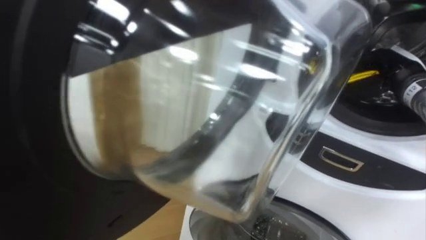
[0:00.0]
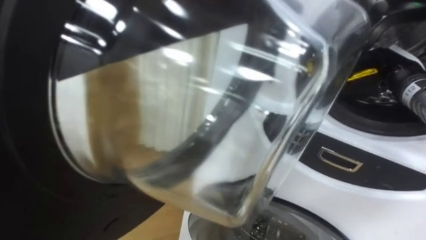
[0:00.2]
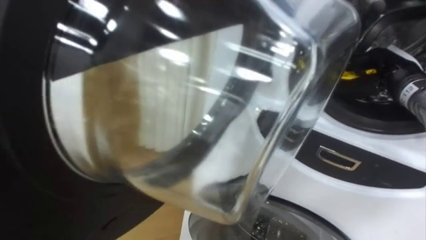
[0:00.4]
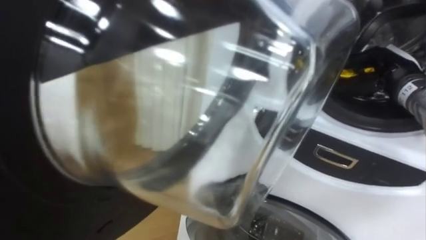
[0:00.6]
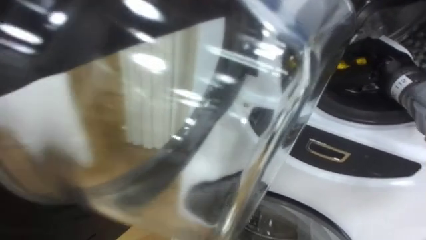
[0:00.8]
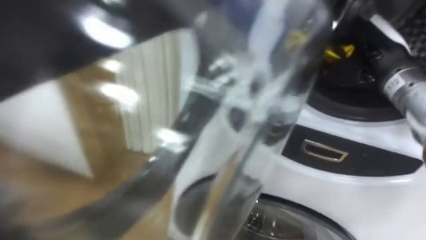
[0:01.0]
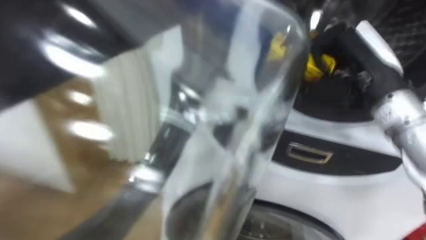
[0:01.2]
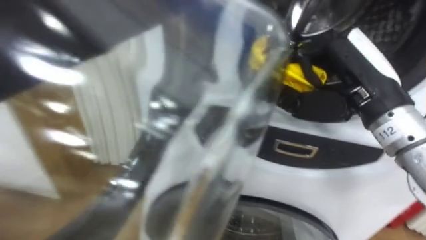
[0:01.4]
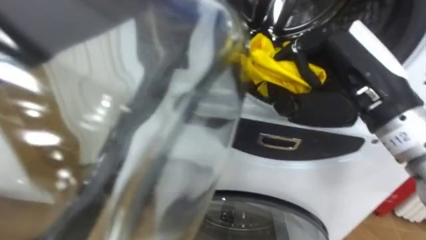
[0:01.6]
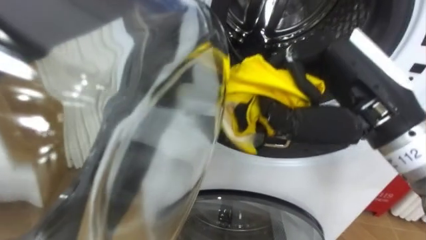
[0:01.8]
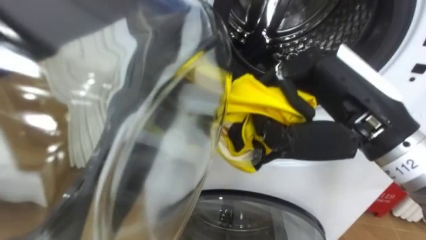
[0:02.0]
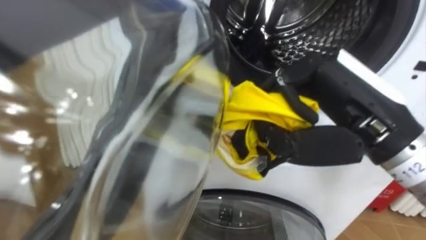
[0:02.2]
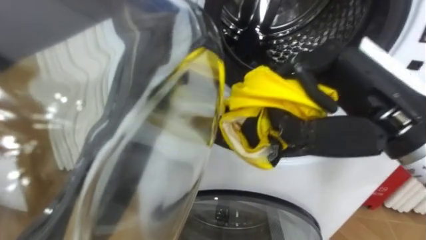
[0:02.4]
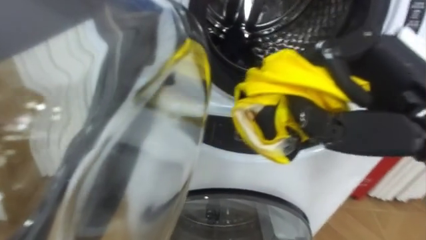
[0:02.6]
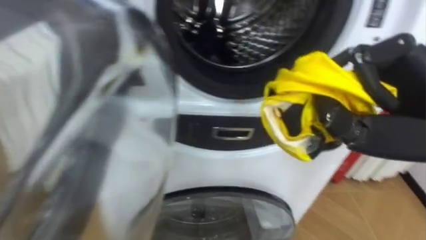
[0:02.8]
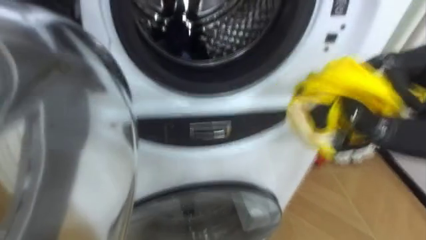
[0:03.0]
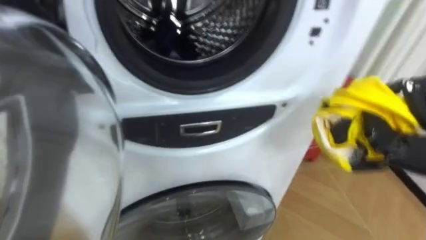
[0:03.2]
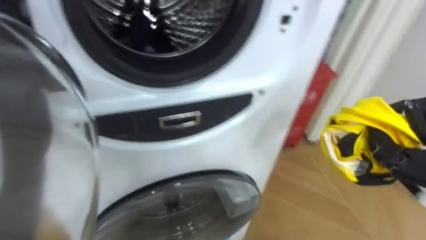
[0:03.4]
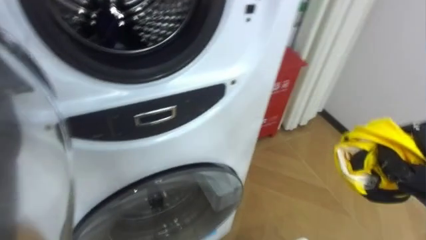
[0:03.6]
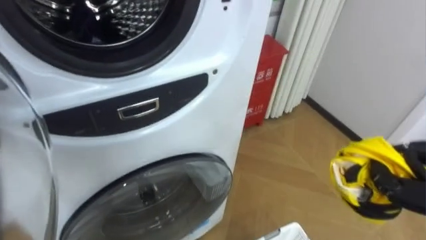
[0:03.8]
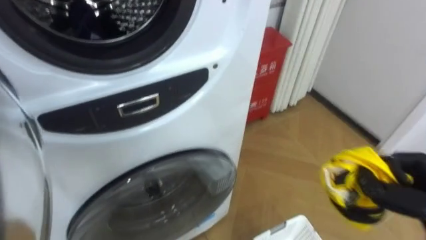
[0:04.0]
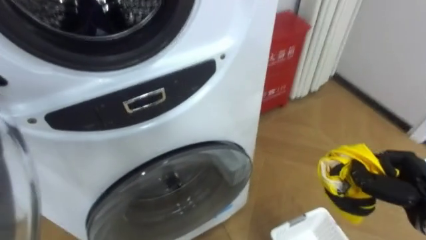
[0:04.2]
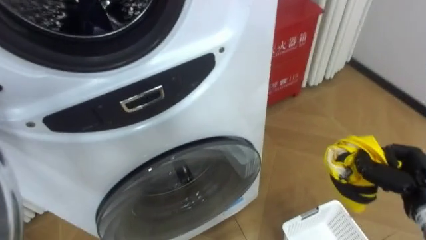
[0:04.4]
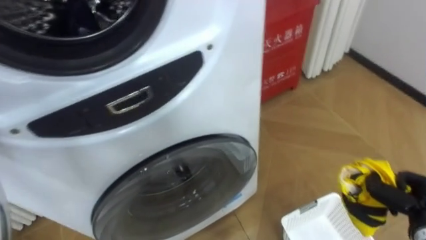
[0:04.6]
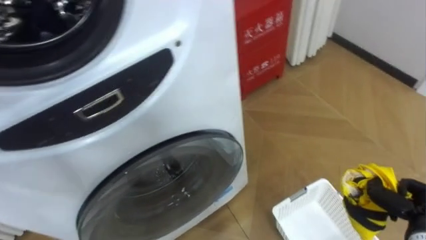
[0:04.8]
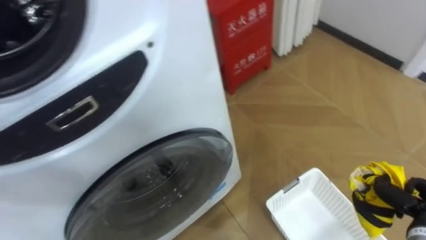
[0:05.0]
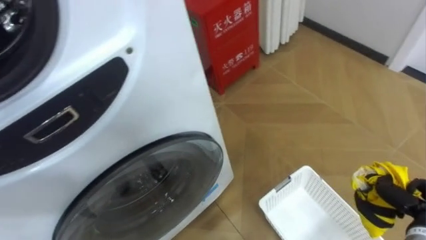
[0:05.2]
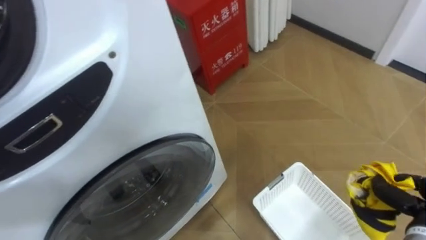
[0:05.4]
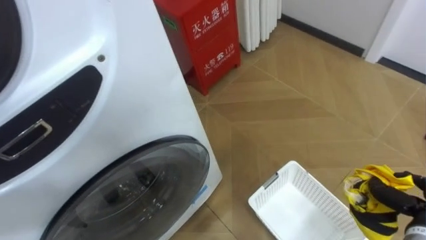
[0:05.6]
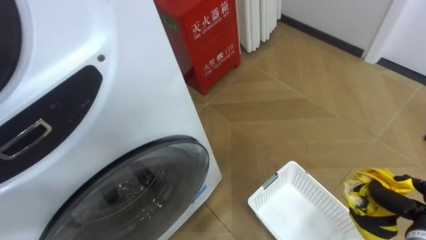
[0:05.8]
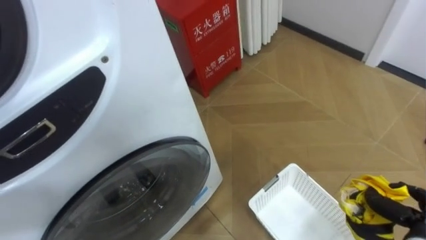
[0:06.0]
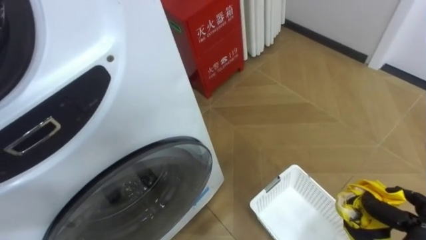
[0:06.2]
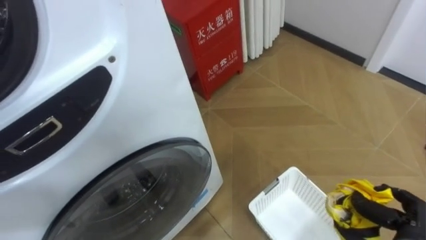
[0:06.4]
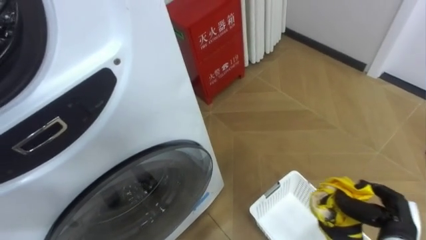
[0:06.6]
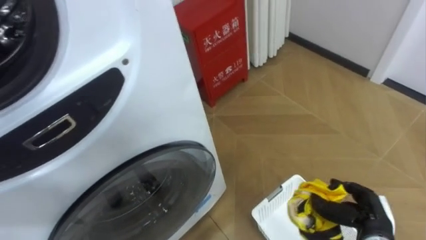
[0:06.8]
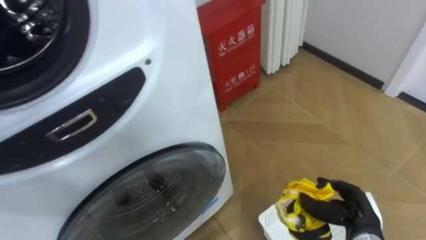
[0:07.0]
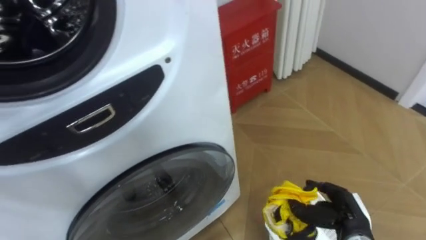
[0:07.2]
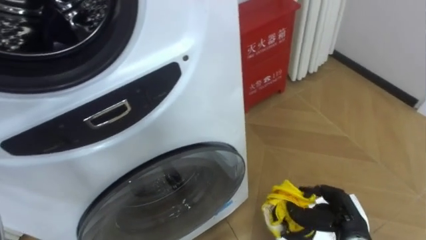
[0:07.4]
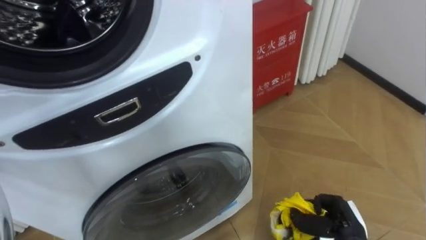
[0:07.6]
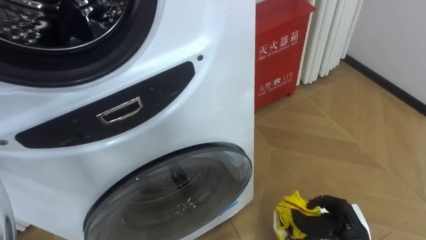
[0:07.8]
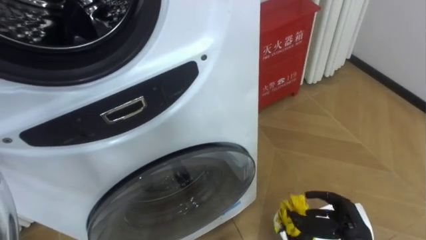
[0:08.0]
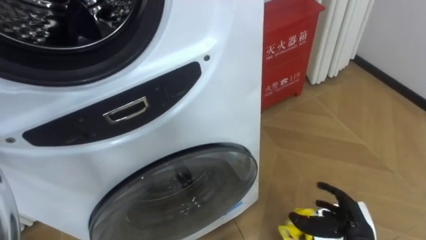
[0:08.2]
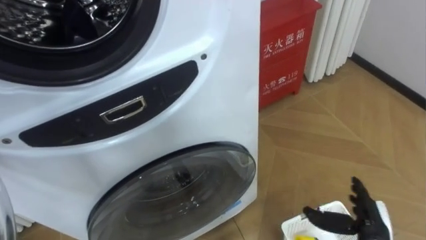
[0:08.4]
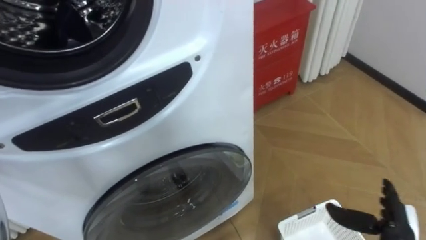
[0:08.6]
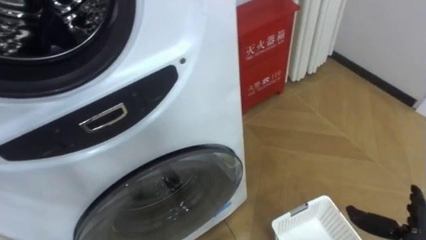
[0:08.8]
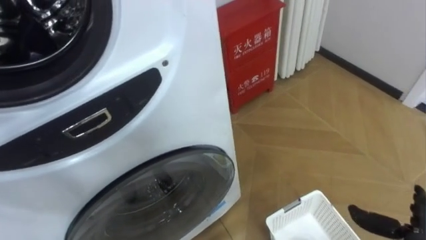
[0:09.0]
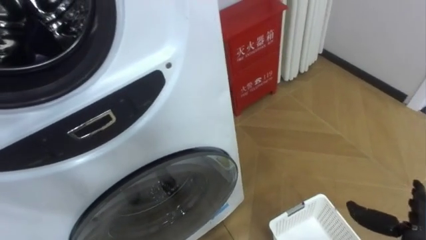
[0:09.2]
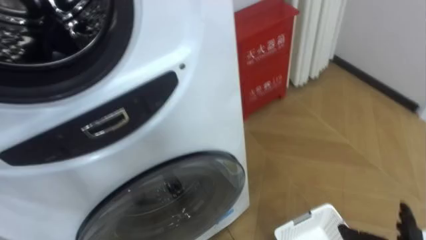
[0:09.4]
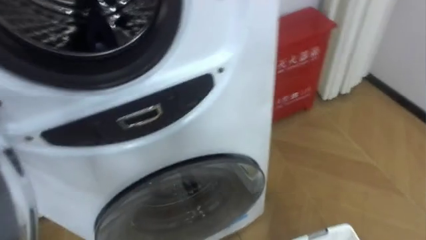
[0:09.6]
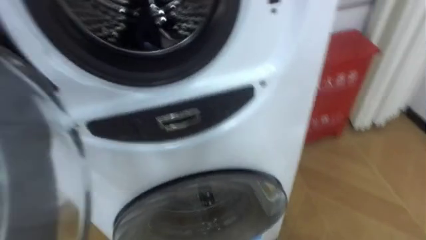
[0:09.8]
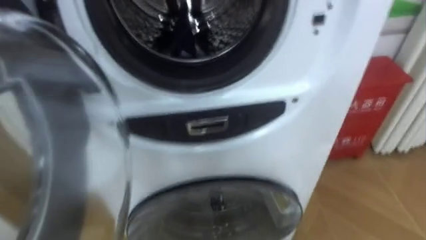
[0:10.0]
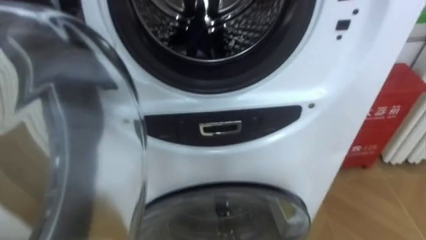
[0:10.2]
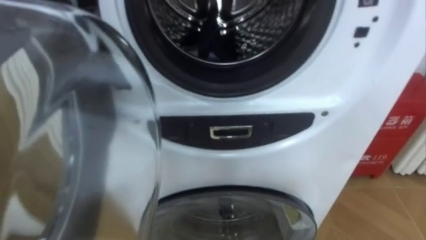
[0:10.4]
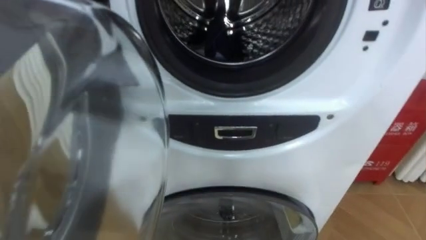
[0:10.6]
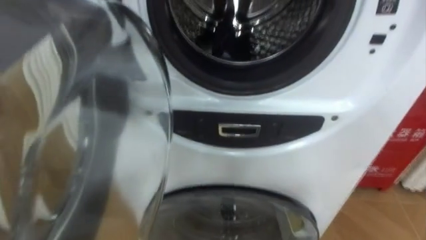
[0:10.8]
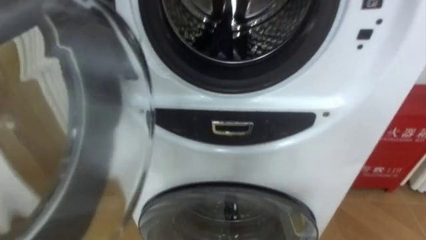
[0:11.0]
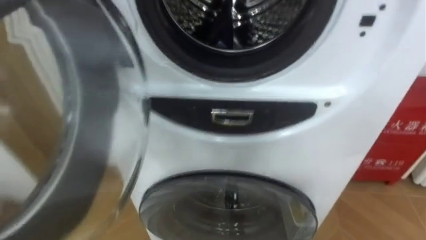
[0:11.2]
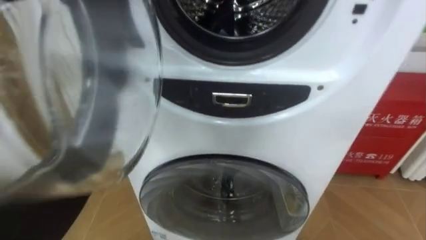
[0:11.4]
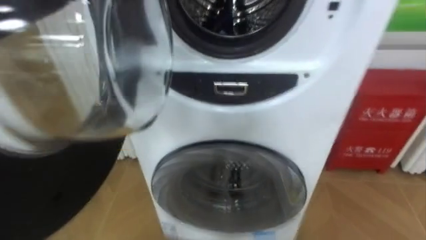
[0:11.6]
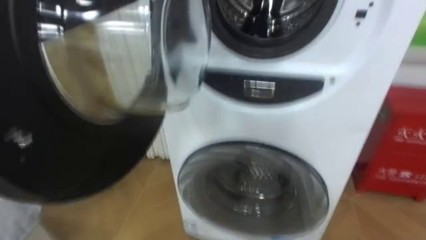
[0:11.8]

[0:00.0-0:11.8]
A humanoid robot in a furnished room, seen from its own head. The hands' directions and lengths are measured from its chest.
Task of the whole recording: Open the washing machine door, take out the yellow clothes, place them in the box on the right, and close the washing machine door.
0:00.0 to 0:01.4: The right hand moves to the left, backward and upward, approximately 20 cm.
0:04.4 to 0:06.0: The right hand heads downward, covering some 5 cm.
0:06.0 to 0:07.4: The right hand travels to the left by some 10 cm.
0:07.4 to 0:08.8: The right hand goes some 10 cm to the right, and opens up.
0:10.4 to 0:11.8: The robot rotates roughly 15 degrees to its left.

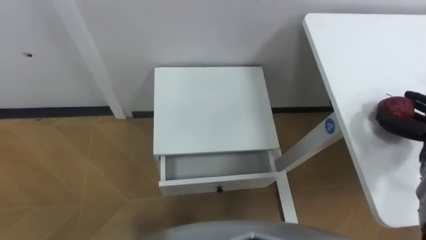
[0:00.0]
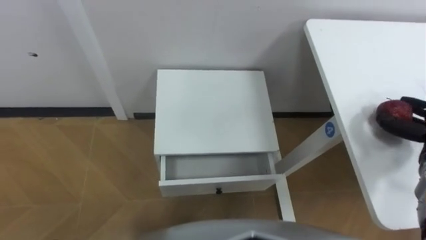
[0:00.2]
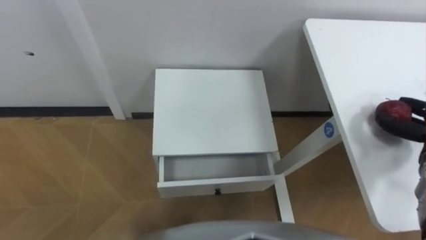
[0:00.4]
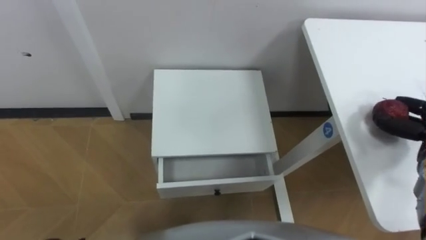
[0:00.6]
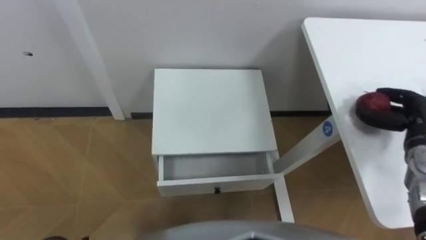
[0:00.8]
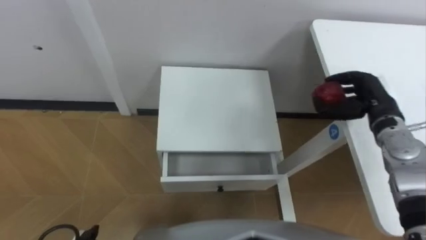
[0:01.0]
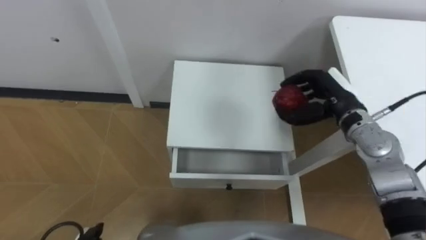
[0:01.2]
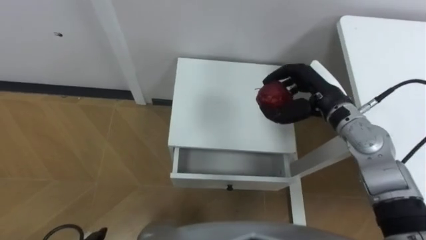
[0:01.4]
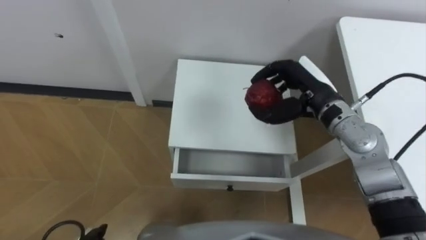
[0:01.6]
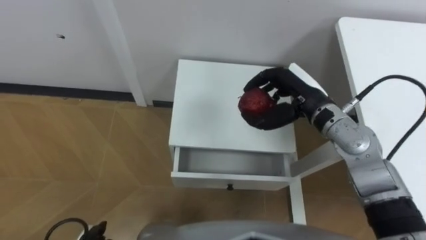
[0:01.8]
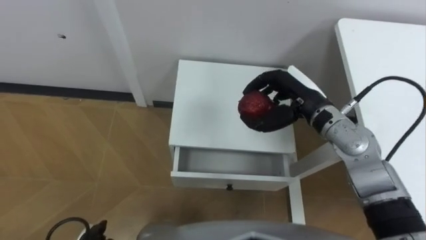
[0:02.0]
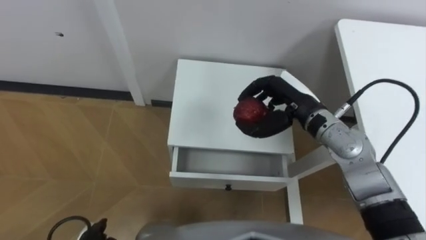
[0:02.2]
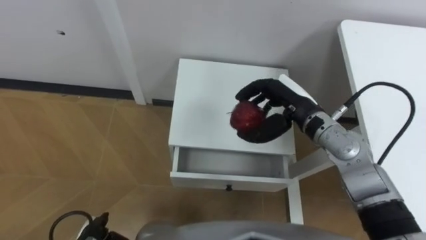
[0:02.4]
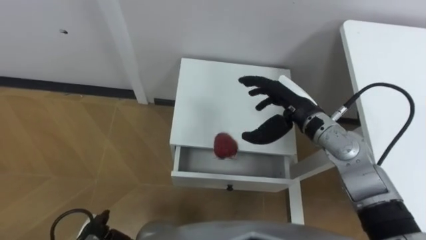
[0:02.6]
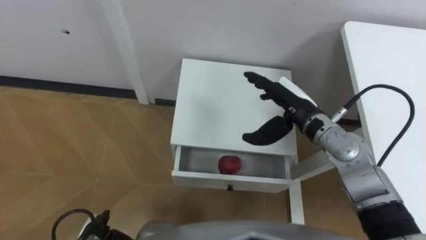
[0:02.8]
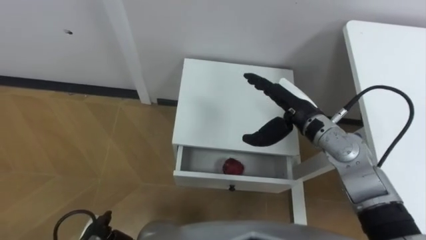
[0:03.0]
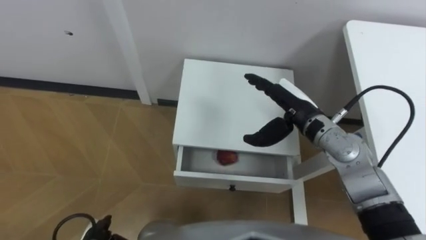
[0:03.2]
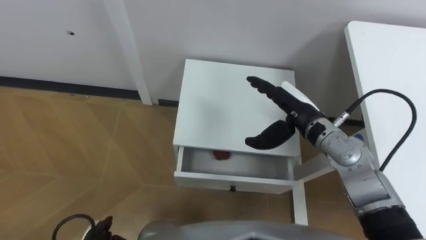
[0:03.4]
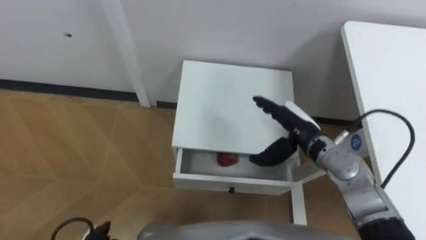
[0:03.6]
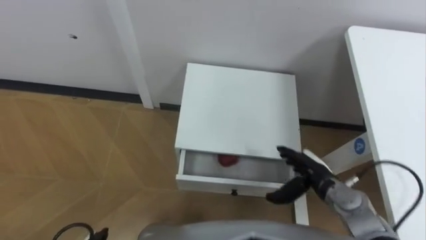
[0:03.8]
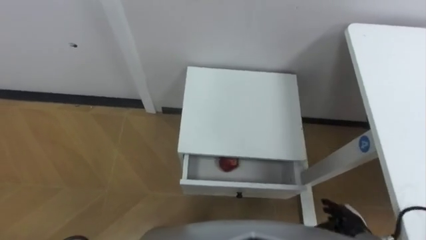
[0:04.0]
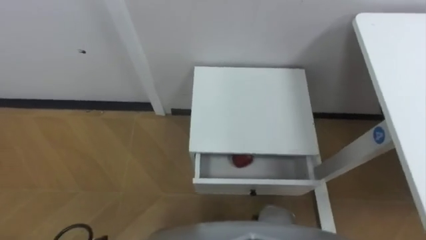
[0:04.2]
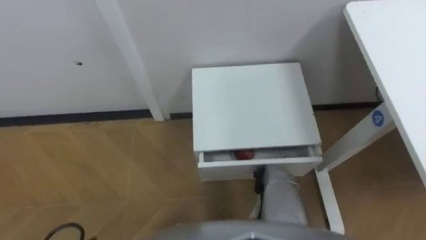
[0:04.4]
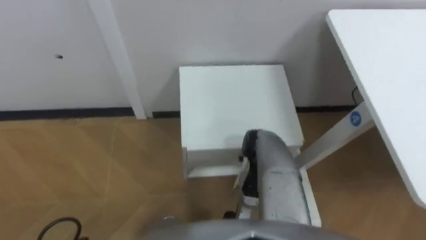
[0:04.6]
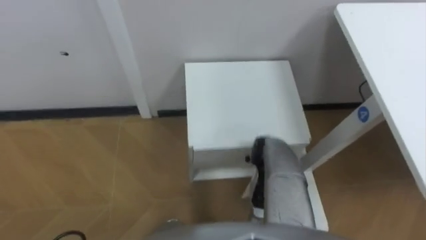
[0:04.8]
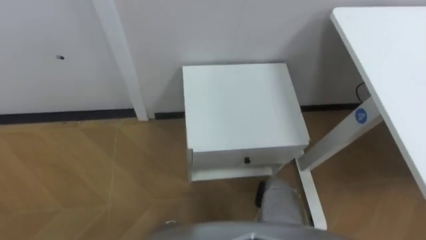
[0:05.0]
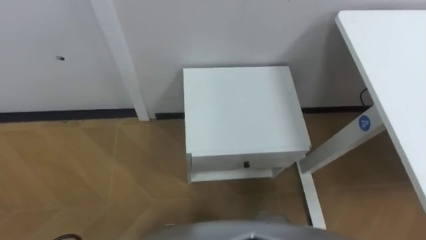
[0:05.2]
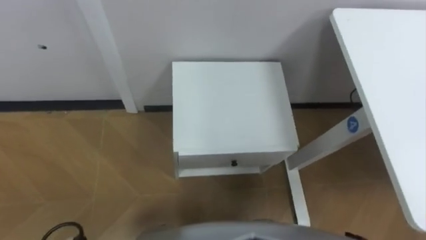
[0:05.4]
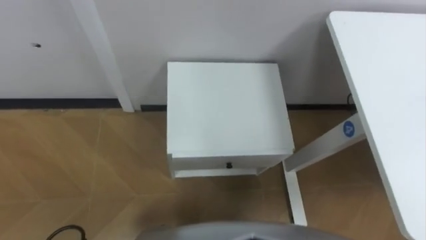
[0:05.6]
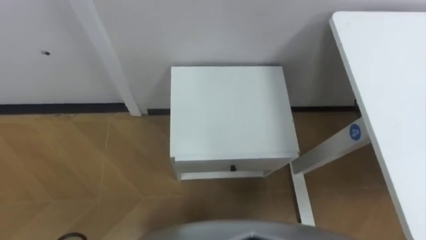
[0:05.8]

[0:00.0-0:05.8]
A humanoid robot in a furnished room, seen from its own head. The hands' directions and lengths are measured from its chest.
Task of the whole recording: Pick up the apple from the table, put it in the drawer, and close the drawer with leg.
0:01.4 to 0:02.8: The right hand travels to the left by approximately 5 cm, and opens.
